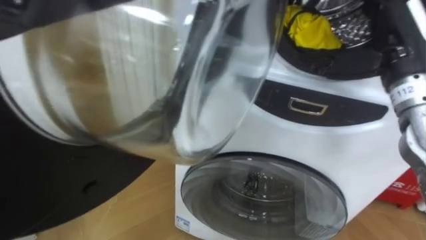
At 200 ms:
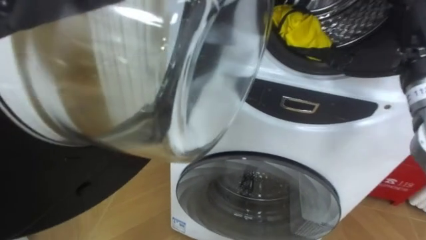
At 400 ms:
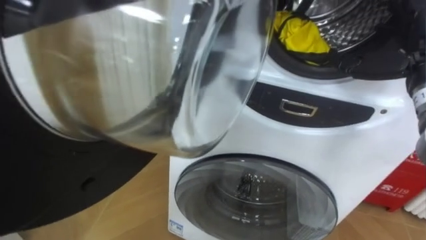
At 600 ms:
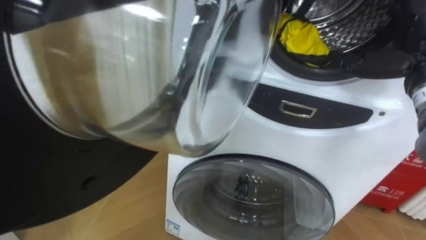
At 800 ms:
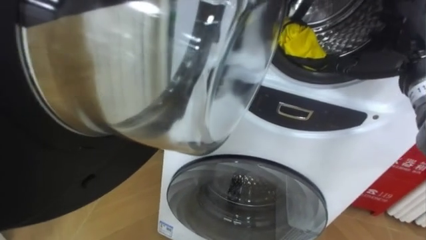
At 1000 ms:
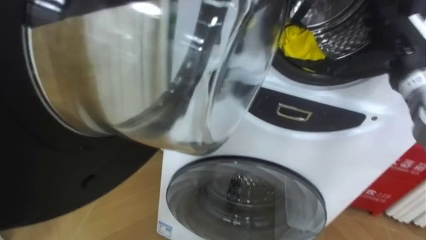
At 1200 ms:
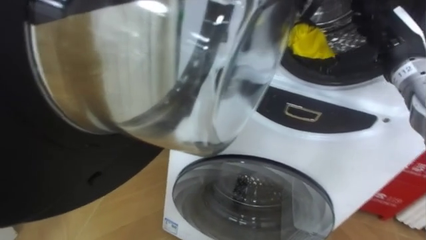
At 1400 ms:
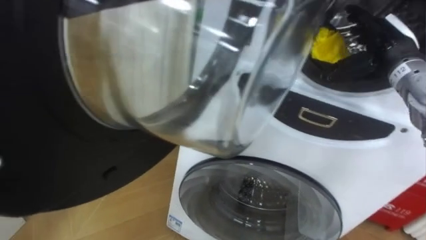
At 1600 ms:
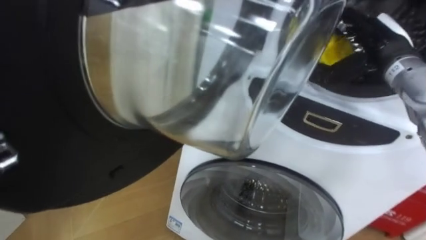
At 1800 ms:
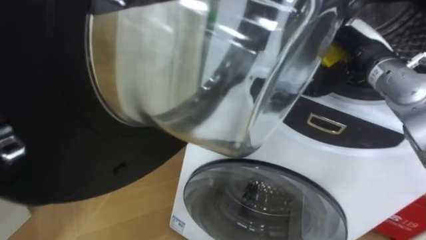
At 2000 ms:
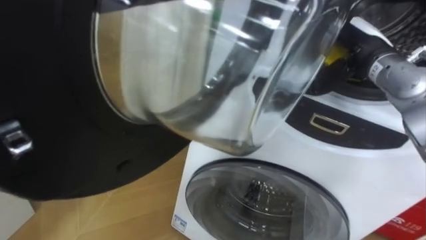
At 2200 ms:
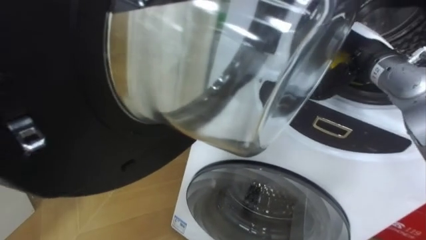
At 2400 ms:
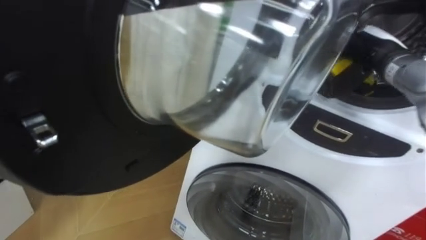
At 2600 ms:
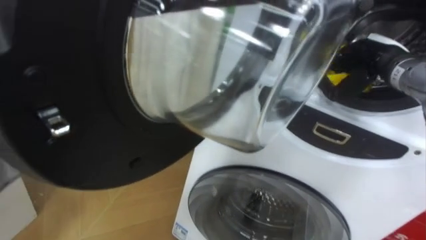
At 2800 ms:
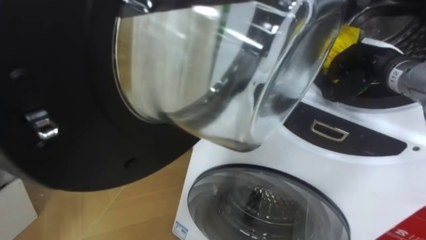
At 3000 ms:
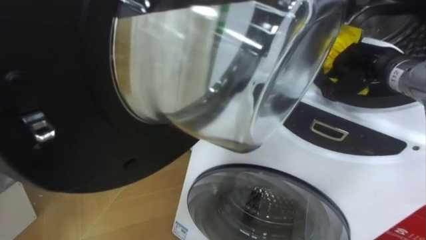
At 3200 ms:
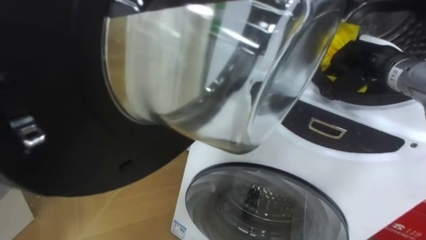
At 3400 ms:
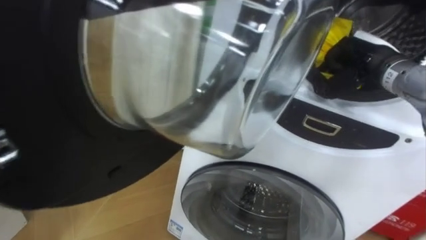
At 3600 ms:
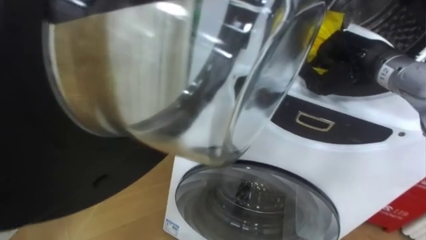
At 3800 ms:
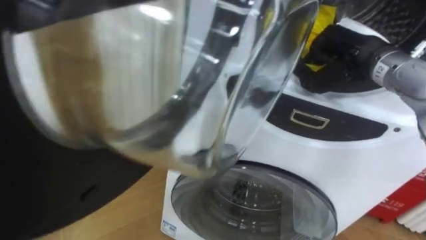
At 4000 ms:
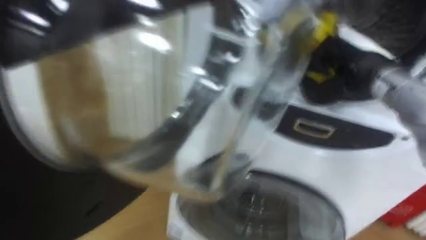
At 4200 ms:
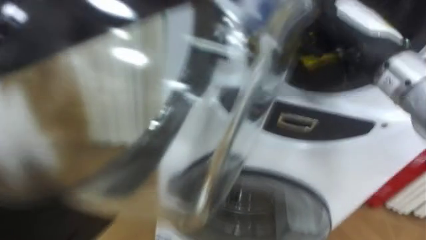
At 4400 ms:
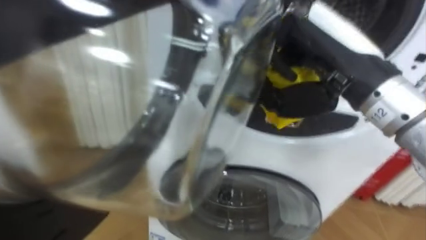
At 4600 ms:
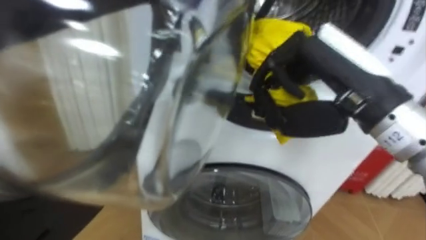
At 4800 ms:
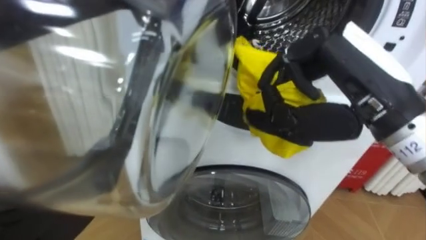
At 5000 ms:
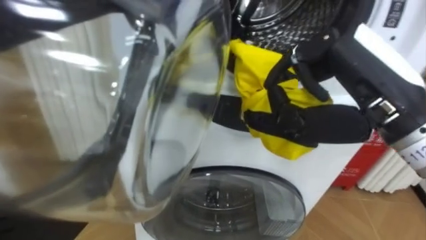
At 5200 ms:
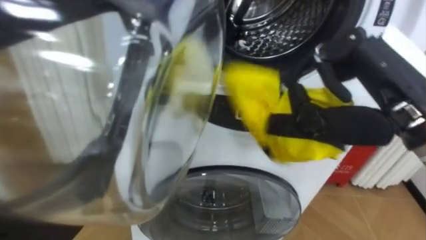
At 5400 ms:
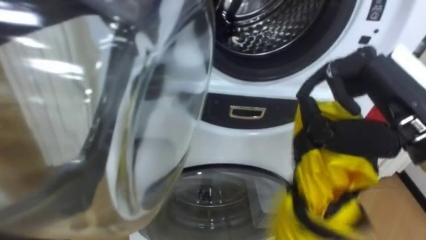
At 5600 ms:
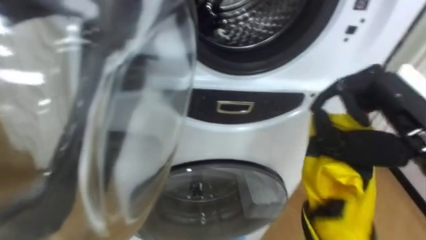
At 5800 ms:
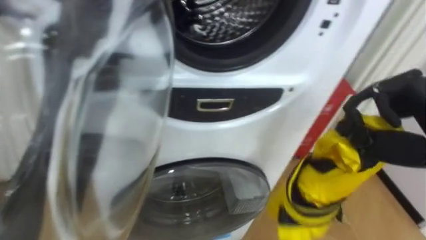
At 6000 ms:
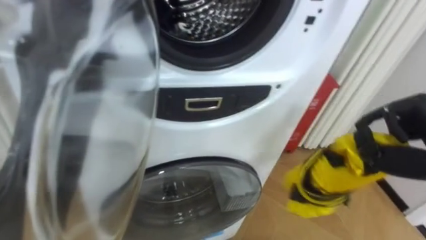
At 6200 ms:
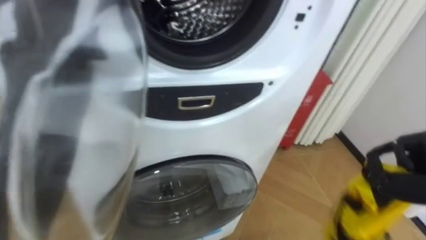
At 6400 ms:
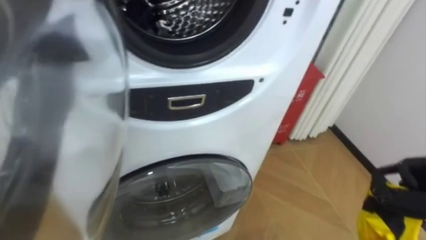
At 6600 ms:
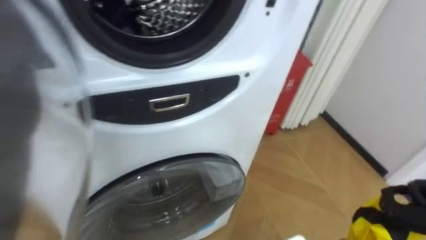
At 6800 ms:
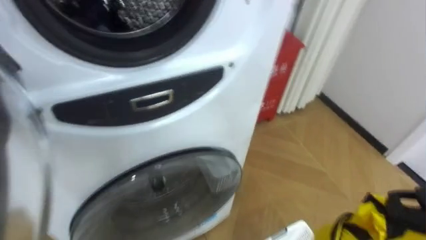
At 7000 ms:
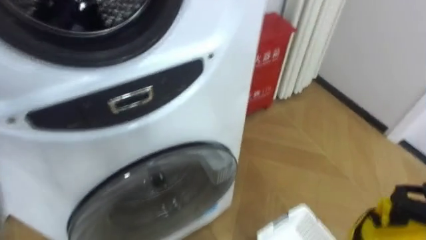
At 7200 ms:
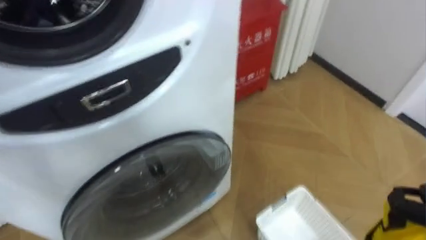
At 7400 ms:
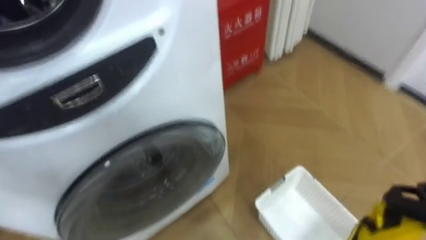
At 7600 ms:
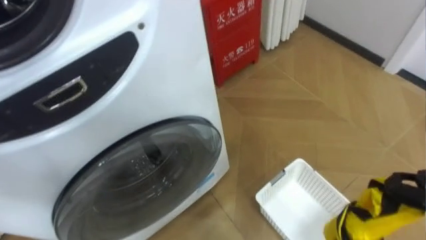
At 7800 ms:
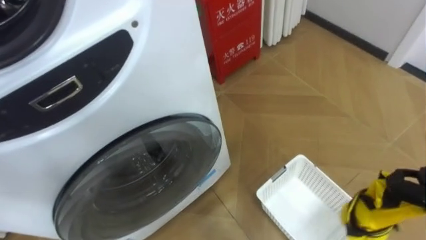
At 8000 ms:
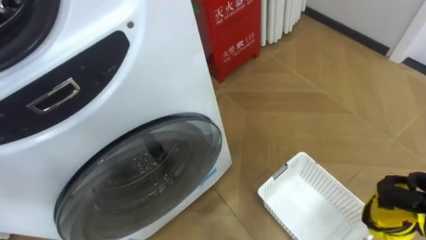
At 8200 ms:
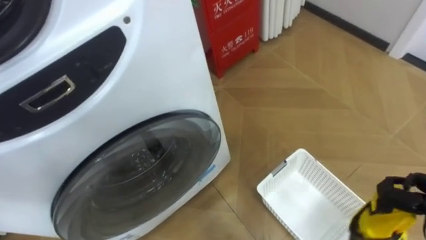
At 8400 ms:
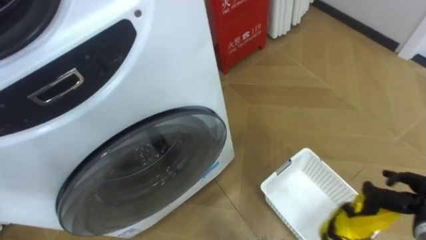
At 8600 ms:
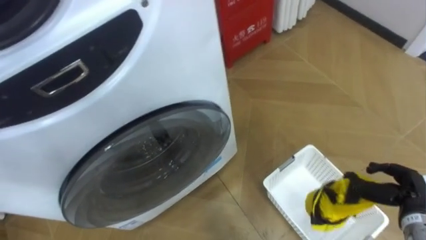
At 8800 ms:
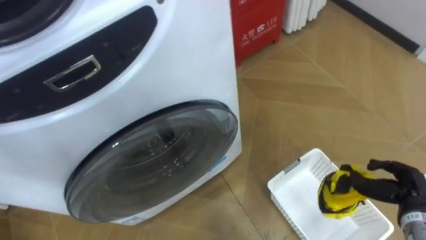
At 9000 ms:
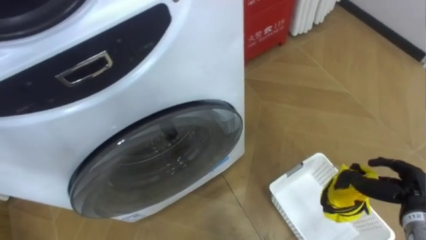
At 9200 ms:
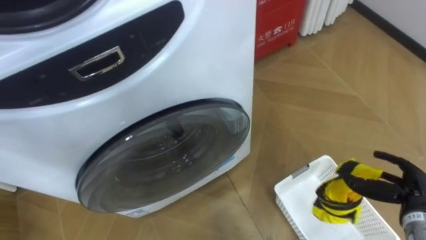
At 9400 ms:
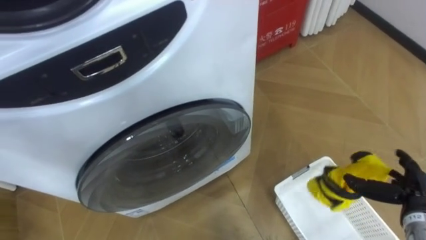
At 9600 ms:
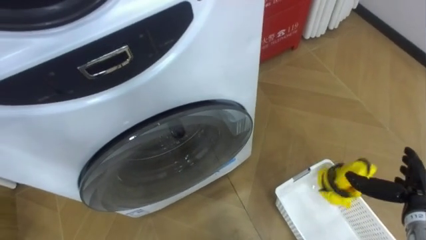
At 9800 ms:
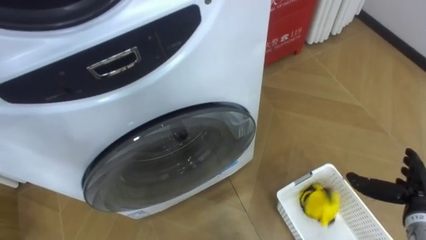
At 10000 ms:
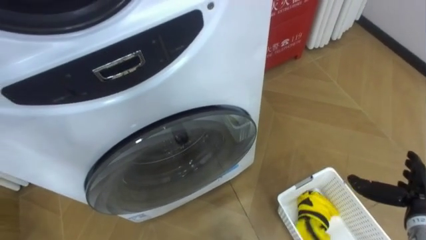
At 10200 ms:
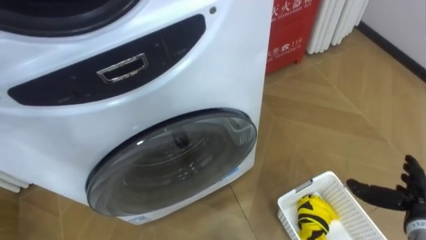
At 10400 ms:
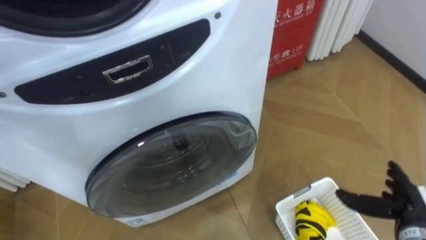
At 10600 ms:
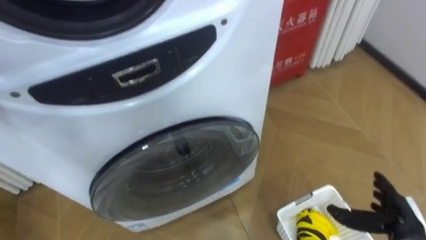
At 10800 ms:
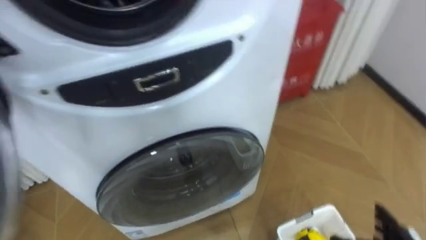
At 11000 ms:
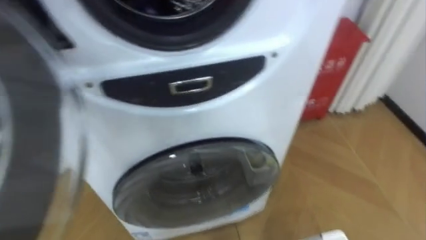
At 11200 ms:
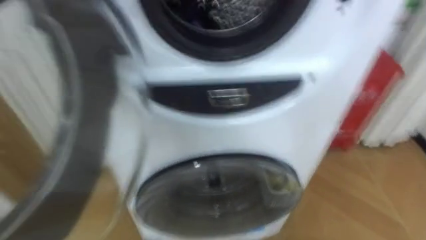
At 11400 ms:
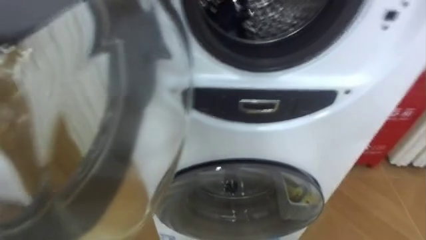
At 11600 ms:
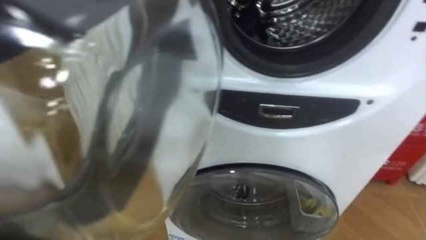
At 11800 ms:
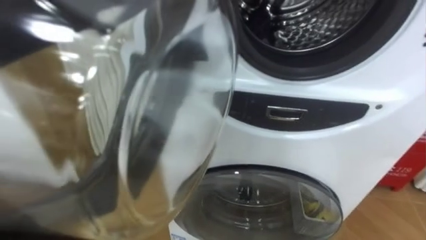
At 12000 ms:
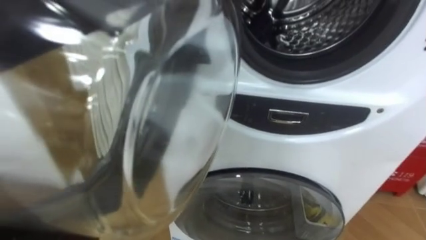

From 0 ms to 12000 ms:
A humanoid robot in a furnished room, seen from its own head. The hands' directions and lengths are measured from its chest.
Task of the whole recording: Open the washing machine door, take out the yellow clothes, place them in the box on the right, and close the washing machine door.
From 0 ms to 1600 ms: The right hand goes about 5 cm forward.
From 1600 ms to 3000 ms: The right hand closes.
From 3000 ms to 4400 ms: The right hand shifts about 20 cm backward, to the left and upward.
From 9000 ms to 10400 ms: The right hand opens.

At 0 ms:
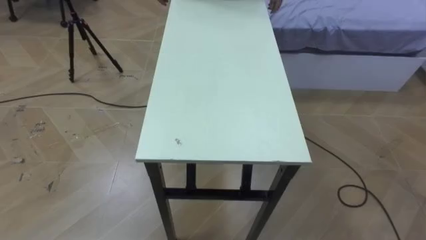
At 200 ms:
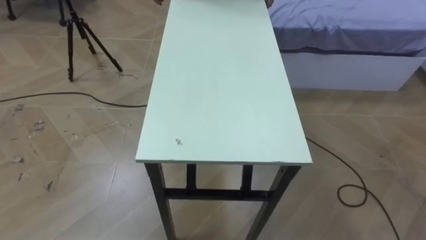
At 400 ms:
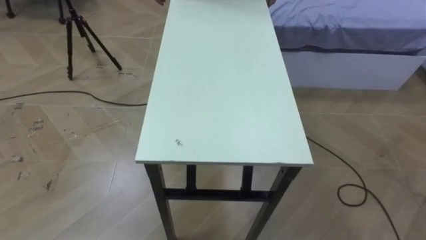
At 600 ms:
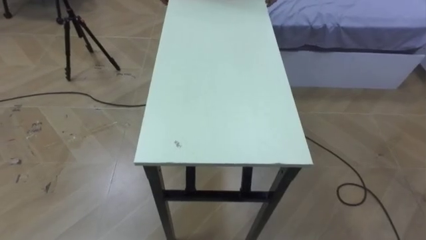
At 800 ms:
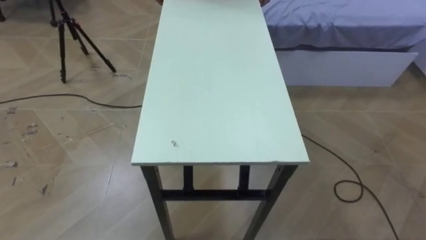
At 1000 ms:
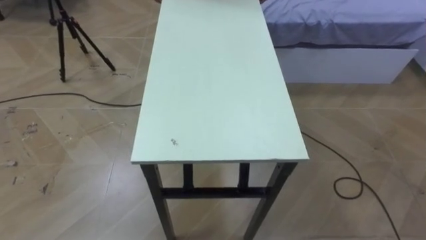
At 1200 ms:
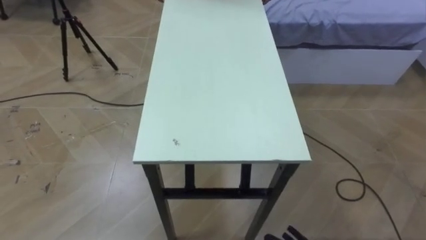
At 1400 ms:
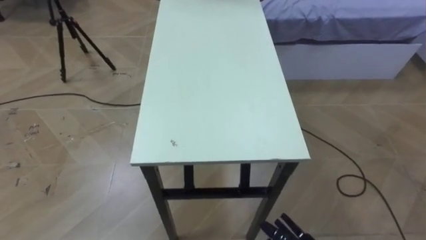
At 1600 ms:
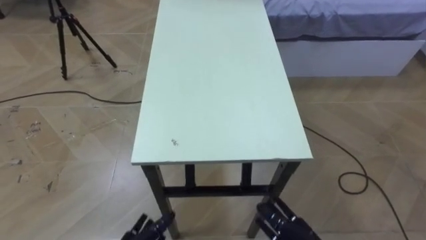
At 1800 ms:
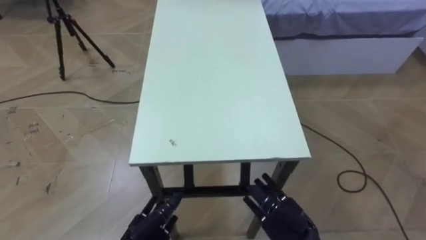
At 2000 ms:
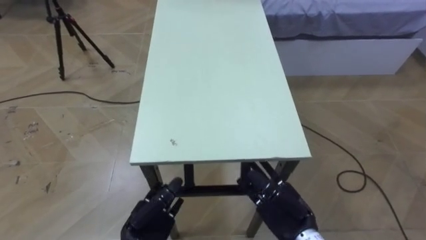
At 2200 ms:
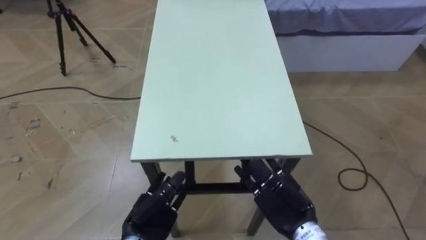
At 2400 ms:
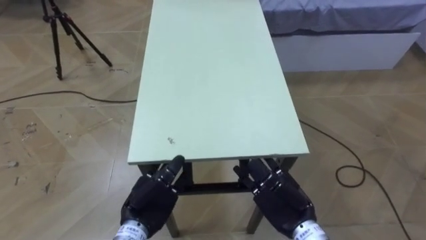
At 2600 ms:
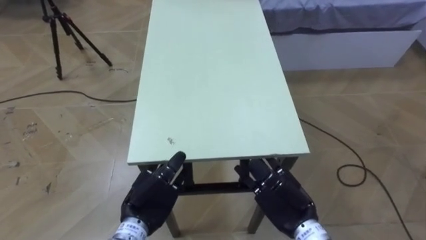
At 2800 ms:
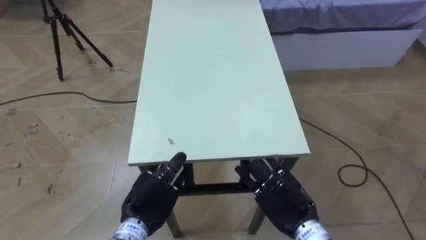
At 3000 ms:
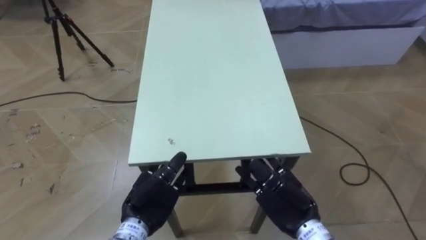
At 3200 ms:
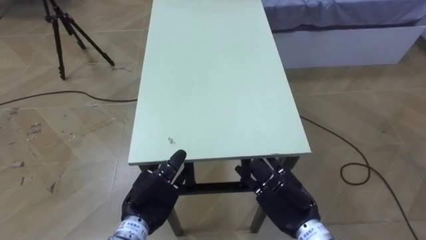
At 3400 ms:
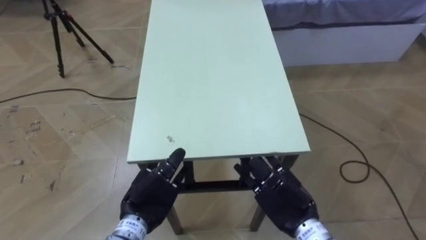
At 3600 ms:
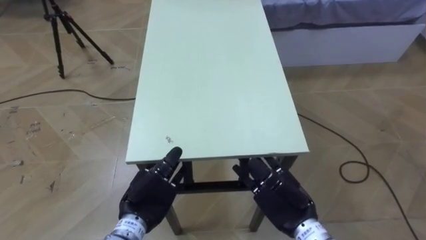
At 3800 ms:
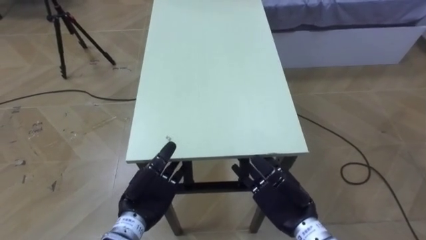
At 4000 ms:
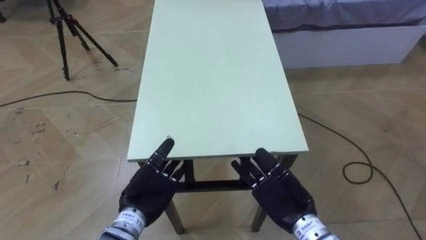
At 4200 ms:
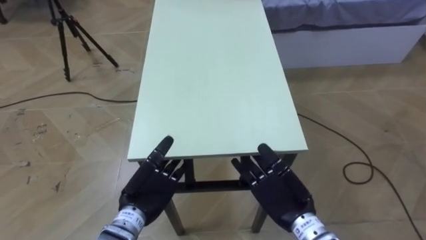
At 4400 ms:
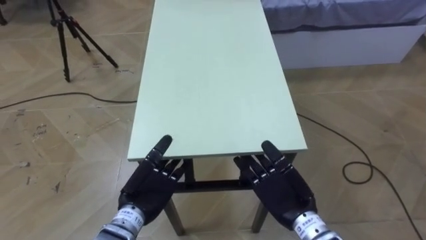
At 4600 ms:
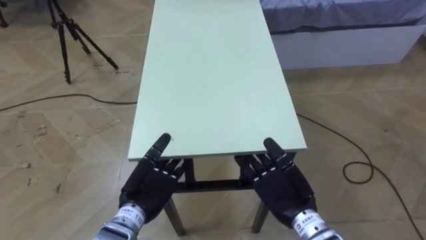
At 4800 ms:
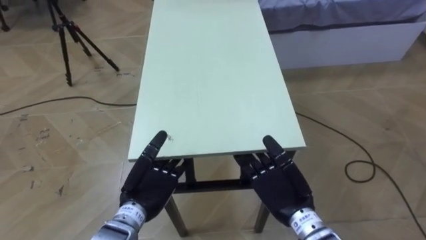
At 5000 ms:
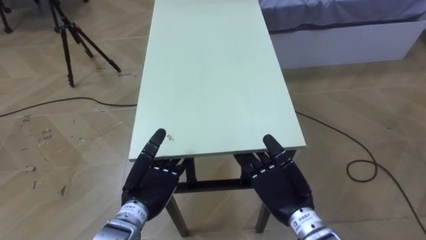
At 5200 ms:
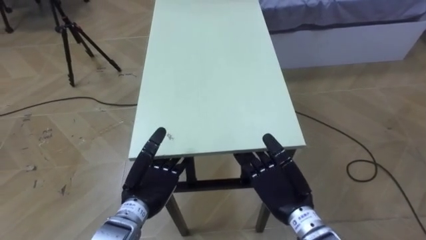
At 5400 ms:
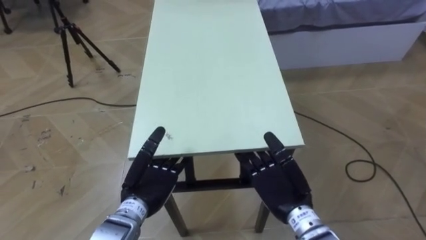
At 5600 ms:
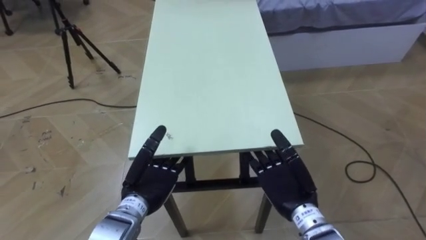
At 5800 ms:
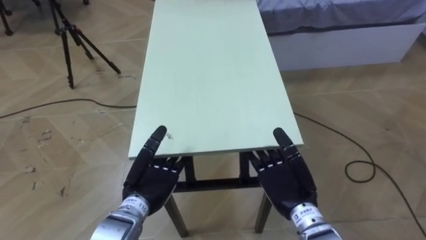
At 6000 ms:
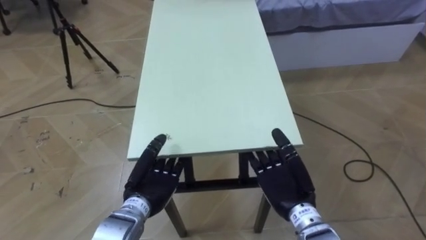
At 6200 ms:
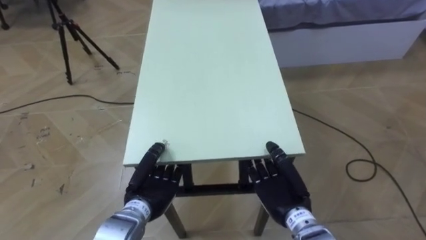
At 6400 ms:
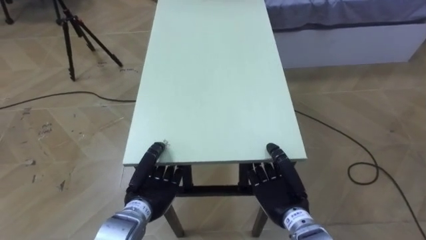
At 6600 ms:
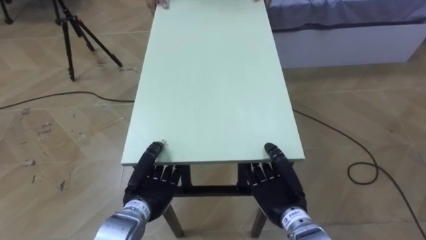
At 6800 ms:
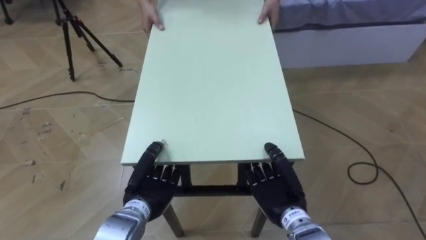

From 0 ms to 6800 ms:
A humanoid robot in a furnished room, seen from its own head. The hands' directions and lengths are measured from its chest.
Task of the whole recording: Move the table to the back left with someone.
From 2800 ms to 4000 ms: The hands make only small movements.
From 4000 ms to 5400 ms: The hands stay close to where they were, moving slightly.
From 5400 ms to 6800 ms: The right hand closes its fingers. The left hand closes.
